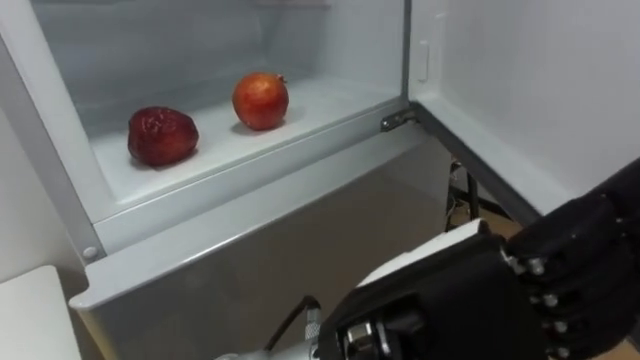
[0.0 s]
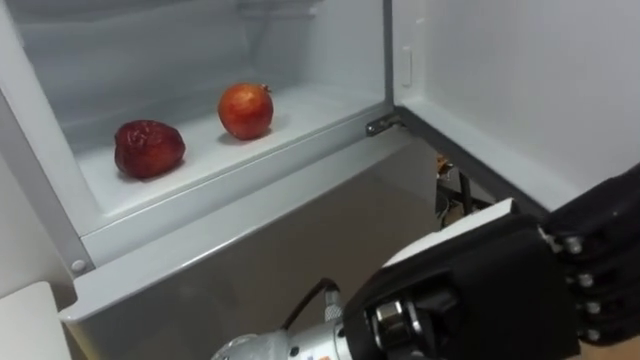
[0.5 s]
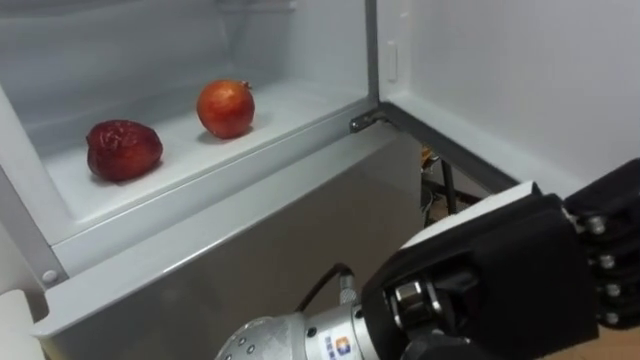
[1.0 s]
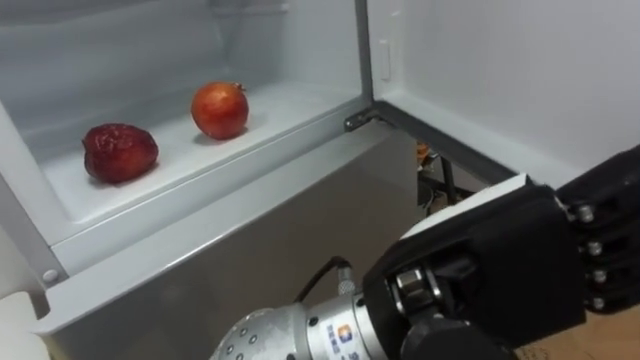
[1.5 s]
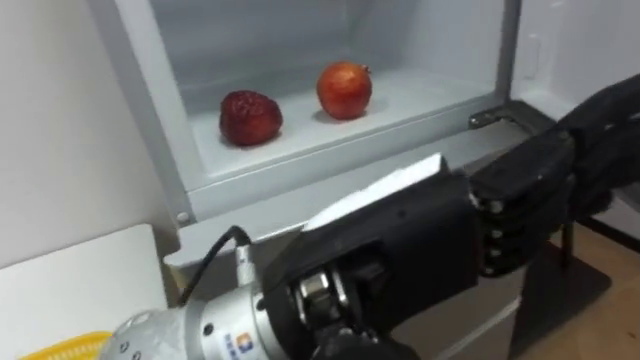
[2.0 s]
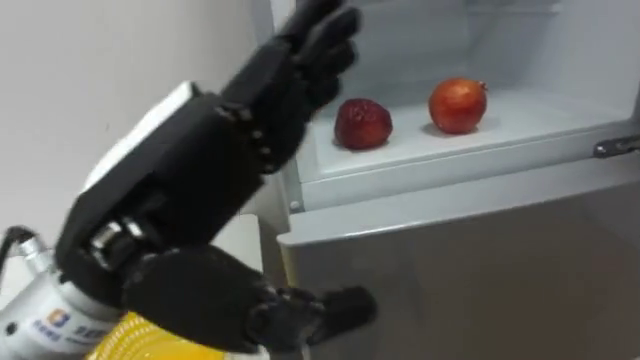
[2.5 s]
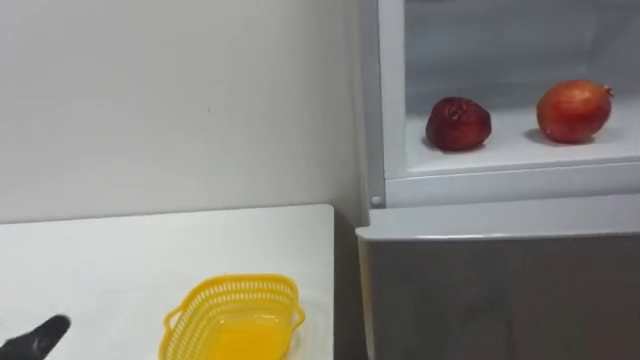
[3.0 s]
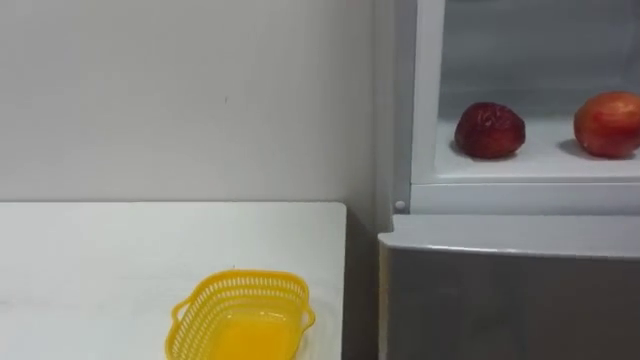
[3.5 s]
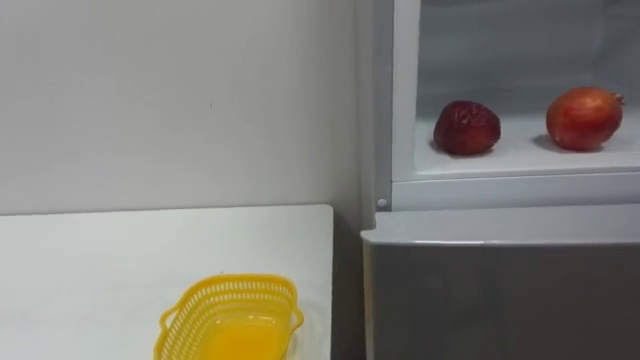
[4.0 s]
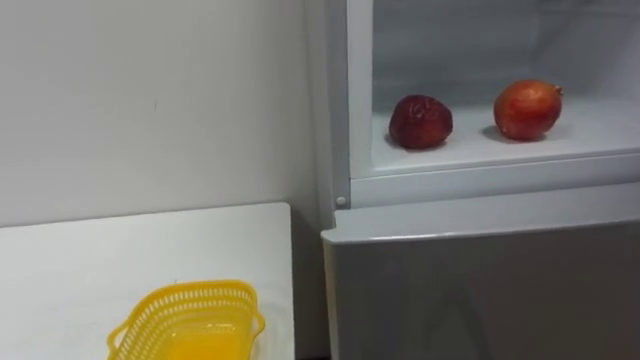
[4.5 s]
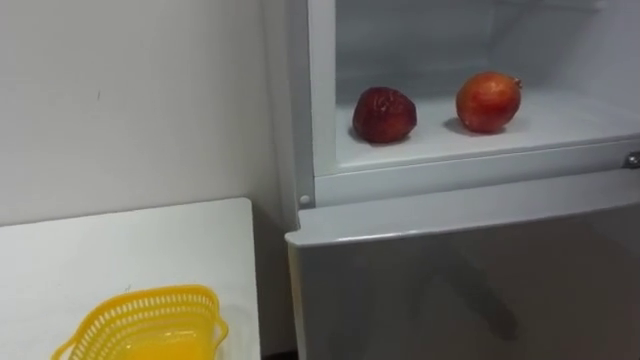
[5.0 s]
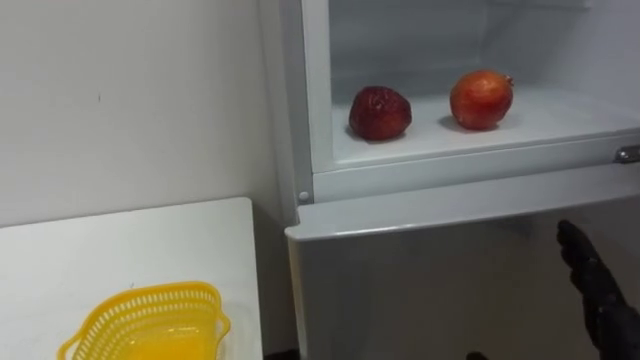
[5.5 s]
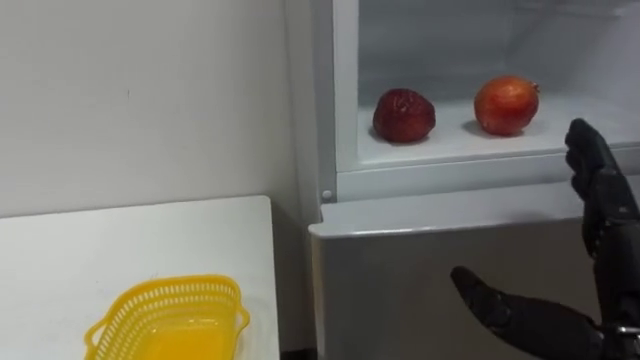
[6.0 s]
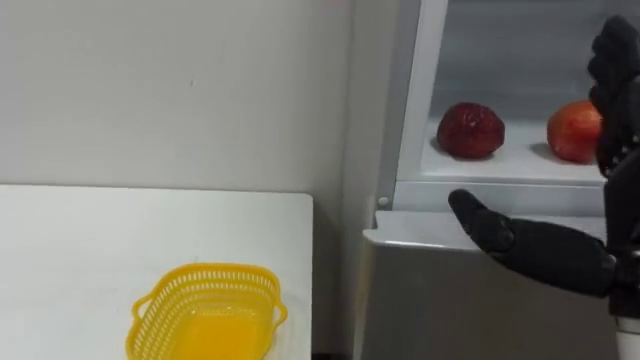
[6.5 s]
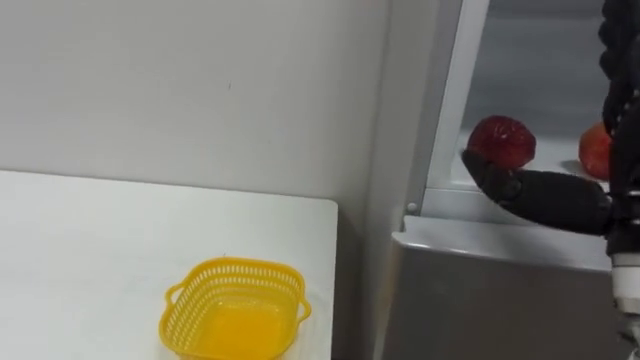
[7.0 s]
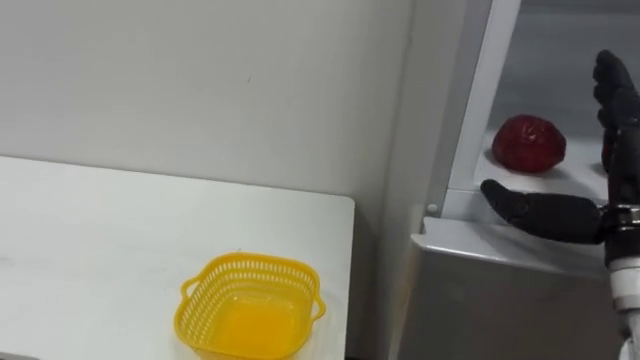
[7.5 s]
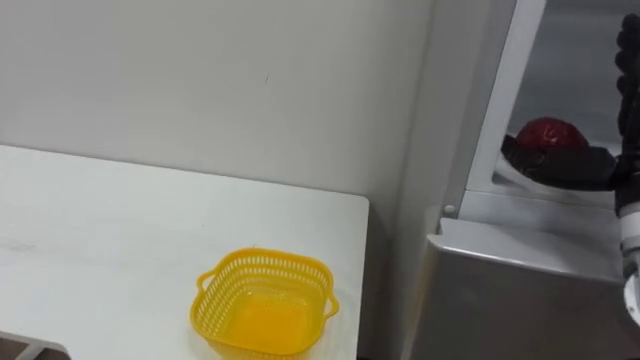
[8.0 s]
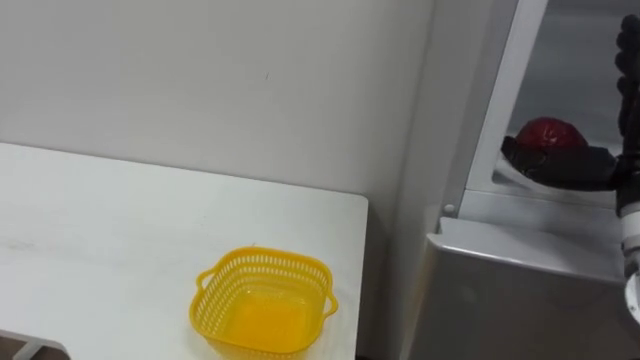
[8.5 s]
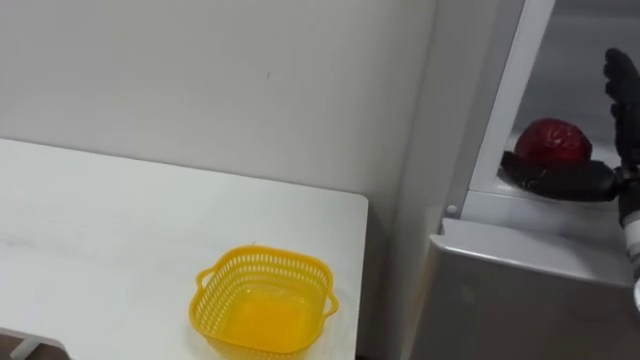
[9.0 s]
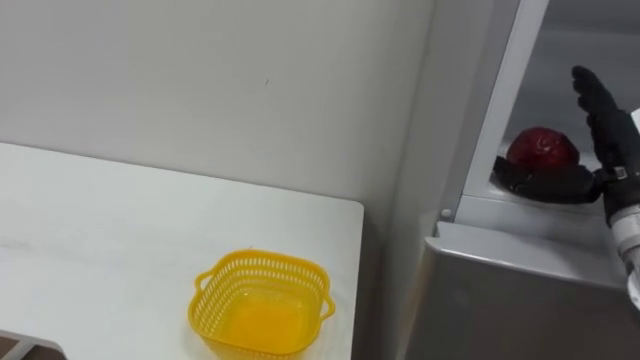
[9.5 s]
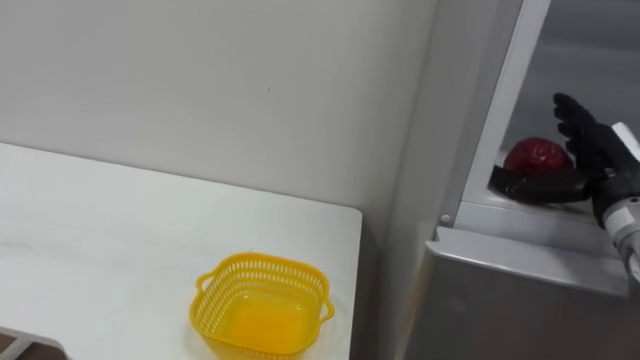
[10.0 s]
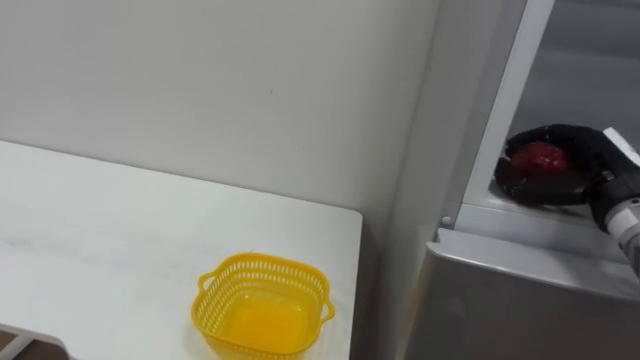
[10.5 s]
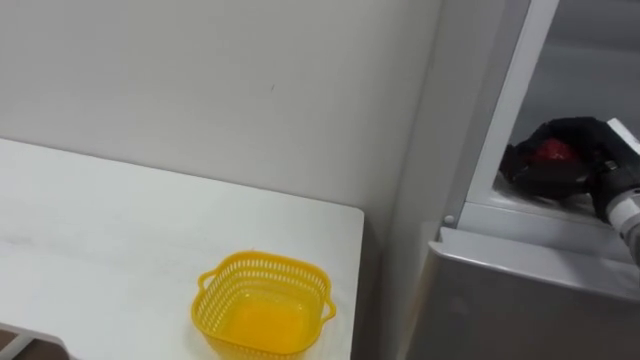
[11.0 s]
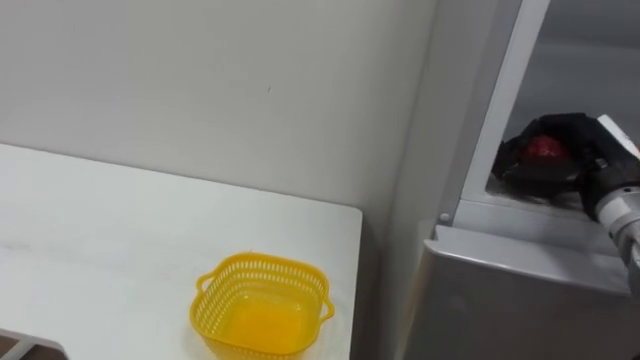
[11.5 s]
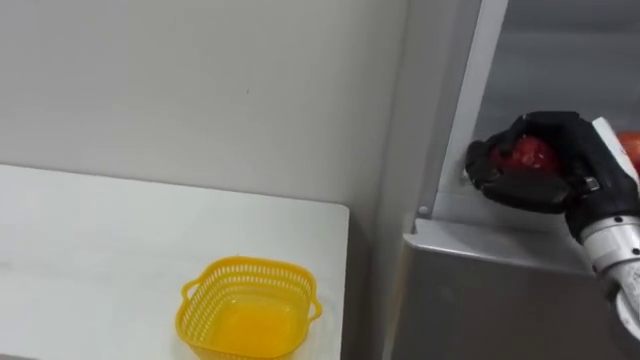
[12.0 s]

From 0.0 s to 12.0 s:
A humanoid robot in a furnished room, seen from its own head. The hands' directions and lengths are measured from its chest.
Task of the whole recording: Open the refrigerator door, take out the apple and the pomegranate, place them in the fruit basket on the left, and close the refrigerator door.
From 6.0 s to 8.0 s: The right hand goes some 15 cm forward, to the right and upward.
From 8.0 s to 10.0 s: The right hand travels forward and downward by approximately 10 cm.
From 10.0 s to 12.0 s: The right hand travels to the left by roughly 5 cm, and closes.

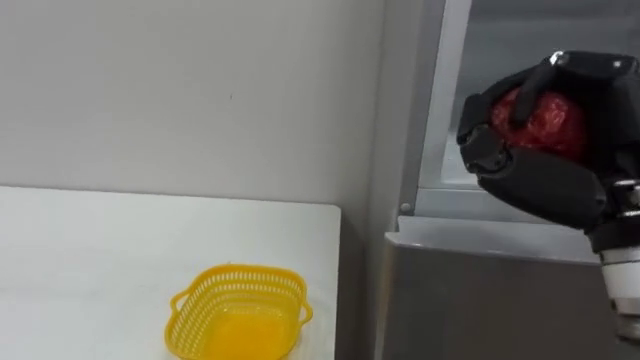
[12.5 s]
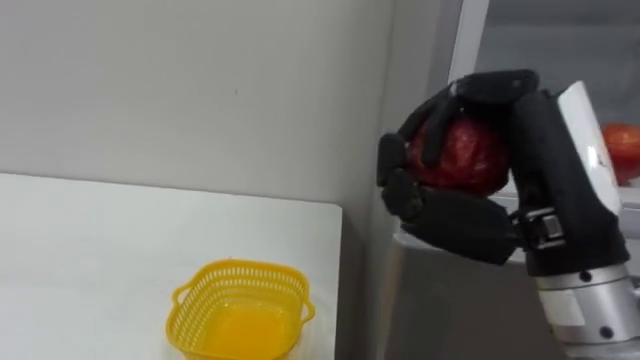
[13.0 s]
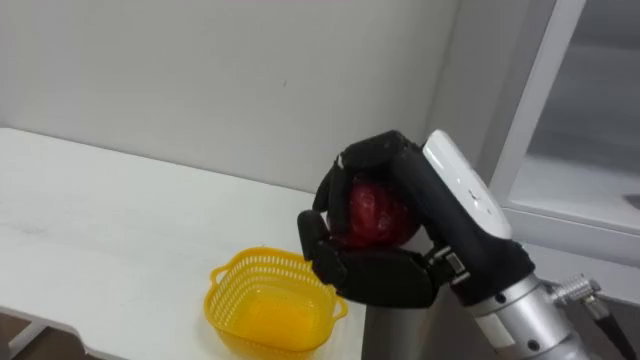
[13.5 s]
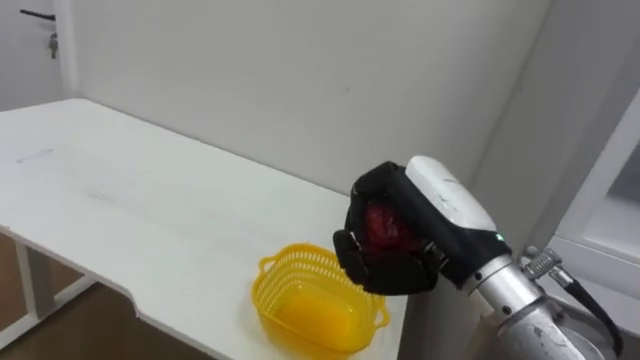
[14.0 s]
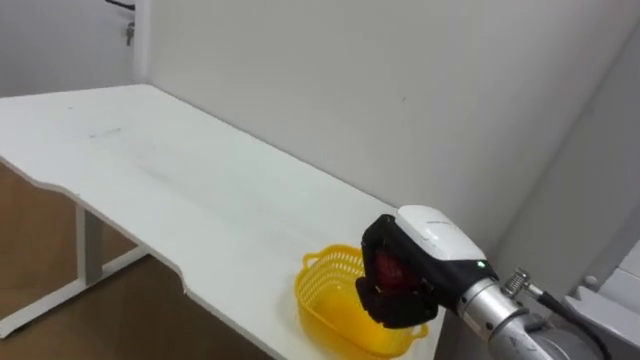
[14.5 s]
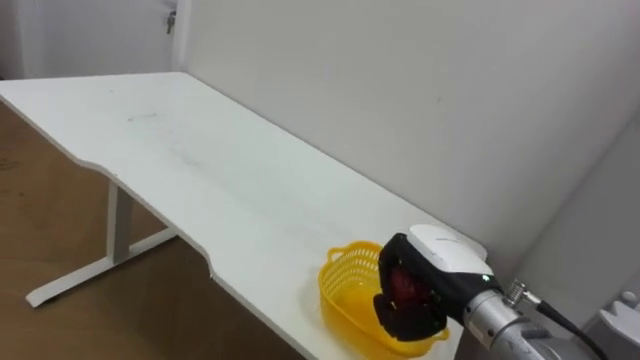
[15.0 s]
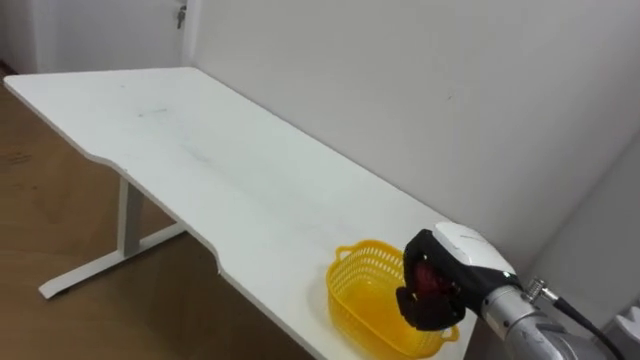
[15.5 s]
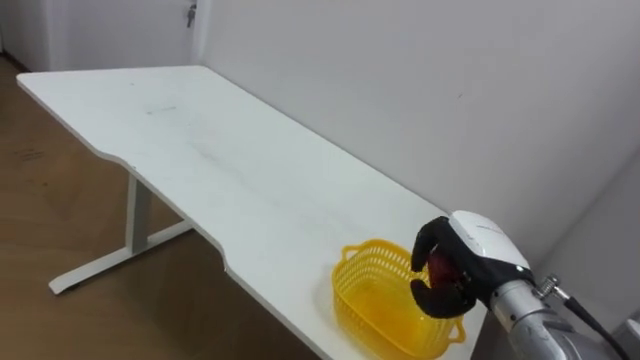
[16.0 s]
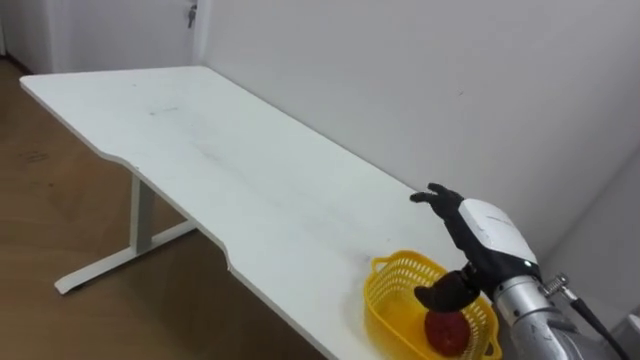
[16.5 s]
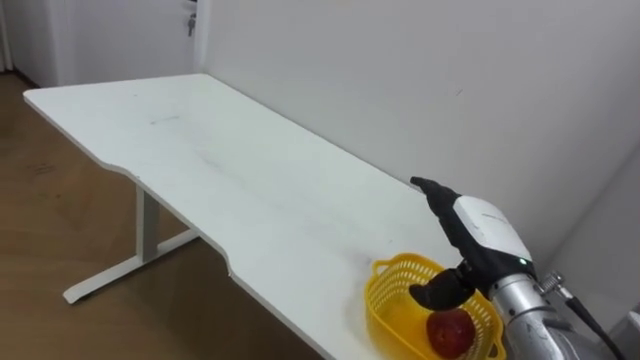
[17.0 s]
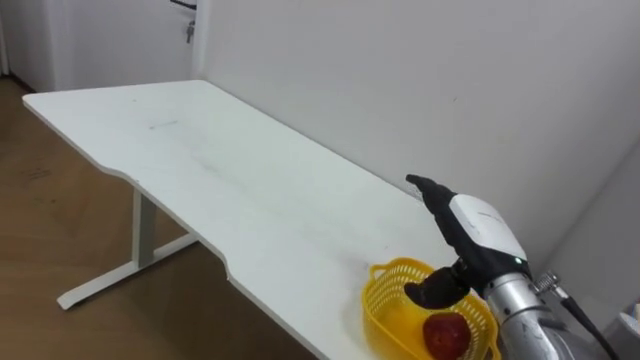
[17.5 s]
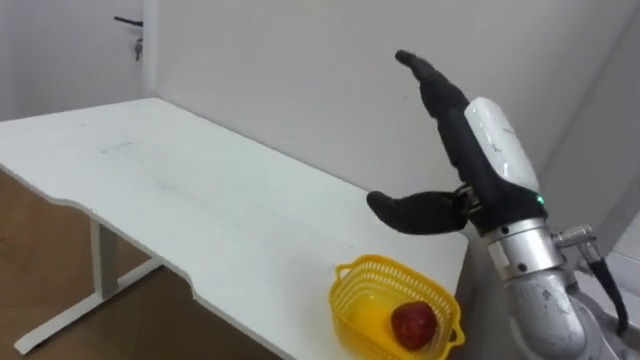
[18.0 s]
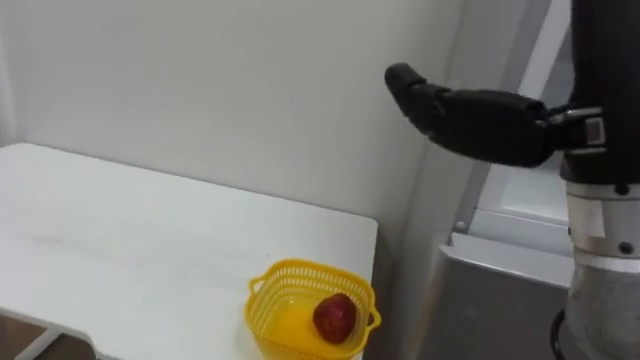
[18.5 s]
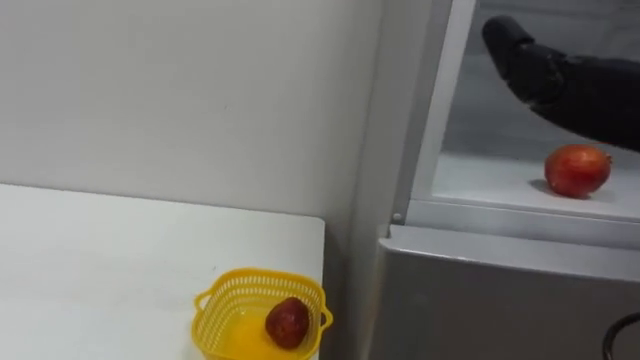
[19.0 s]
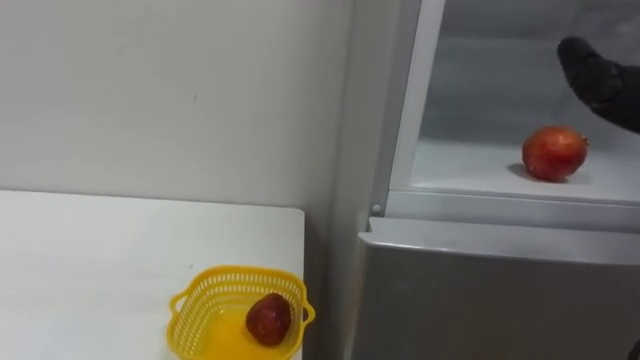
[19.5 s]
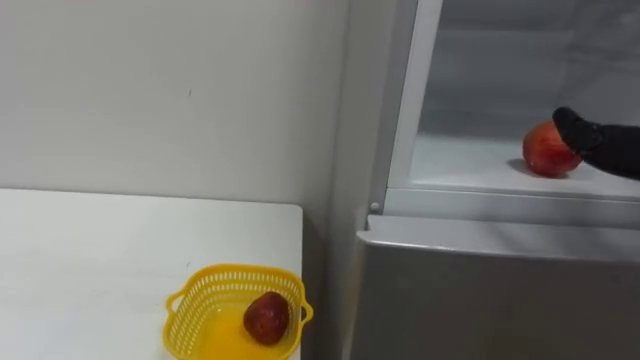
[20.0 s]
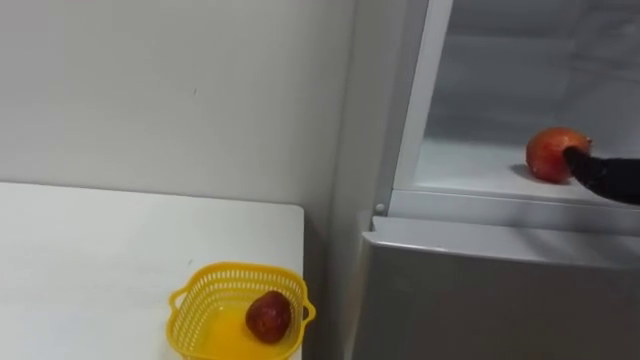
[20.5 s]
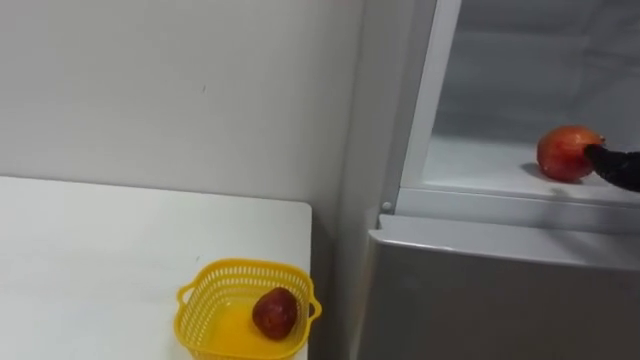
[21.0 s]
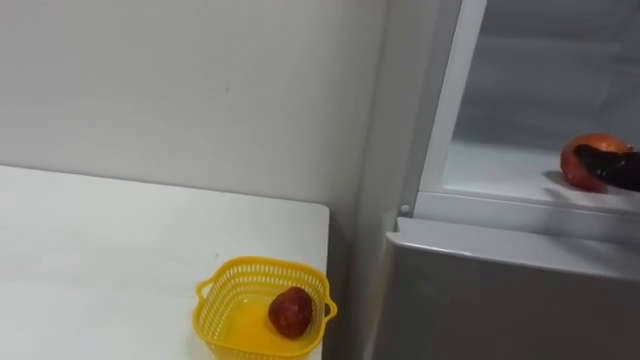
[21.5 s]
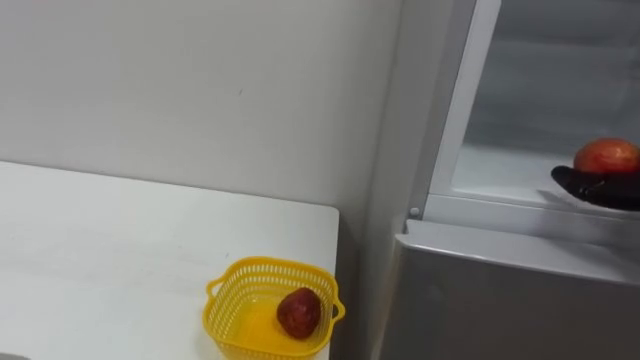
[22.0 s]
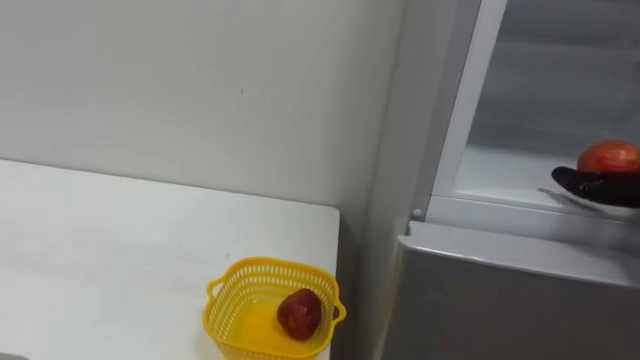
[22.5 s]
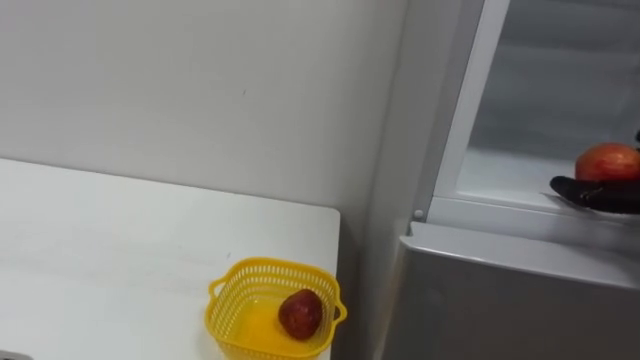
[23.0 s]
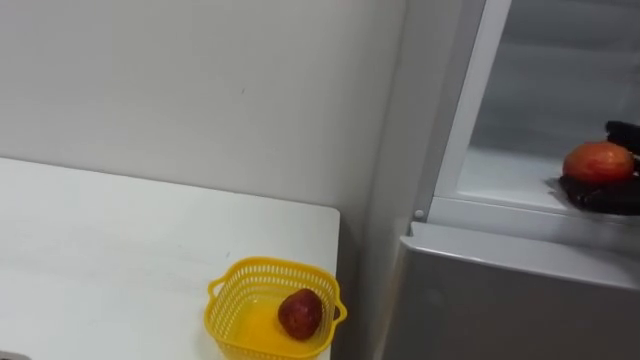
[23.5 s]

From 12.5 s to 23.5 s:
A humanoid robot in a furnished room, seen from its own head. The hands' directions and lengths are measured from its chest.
Task of the whole recording: Open the refrigerator door, take out the apple and the pomegranate, place them in the fruit basket on the left, and close the refrigerator door.
From 12.5 s to 14.5 s: The right hand goes roughly 20 cm downward, to the left and forward.
From 14.5 s to 16.0 s: The right hand moves to the right, approximately 5 cm.
From 16.0 s to 18.0 s: The right hand shifts about 15 cm upward, and opens up.
